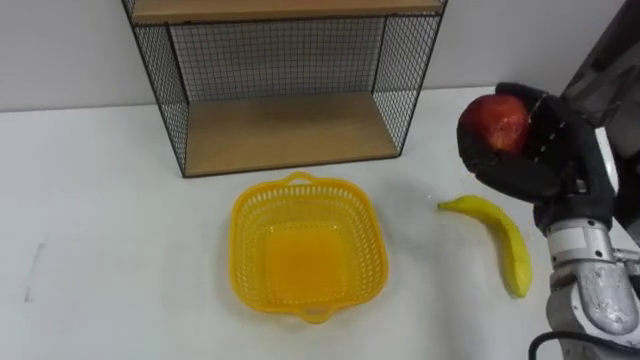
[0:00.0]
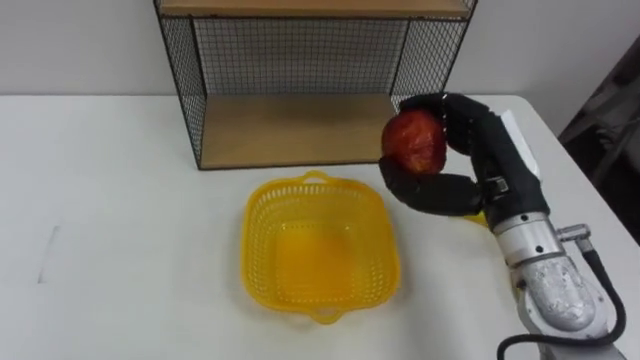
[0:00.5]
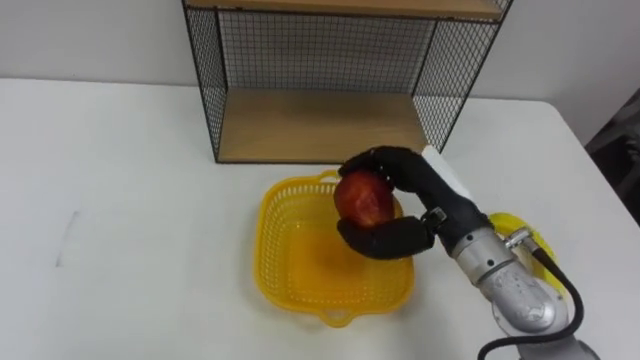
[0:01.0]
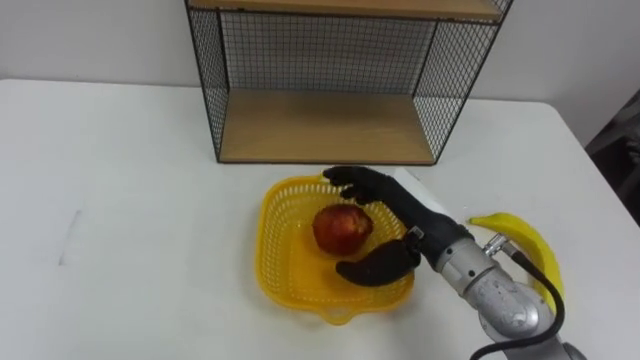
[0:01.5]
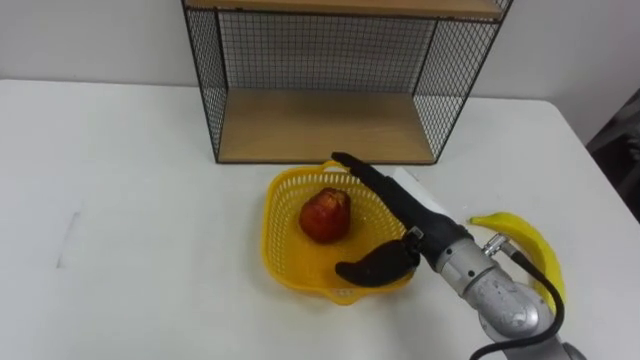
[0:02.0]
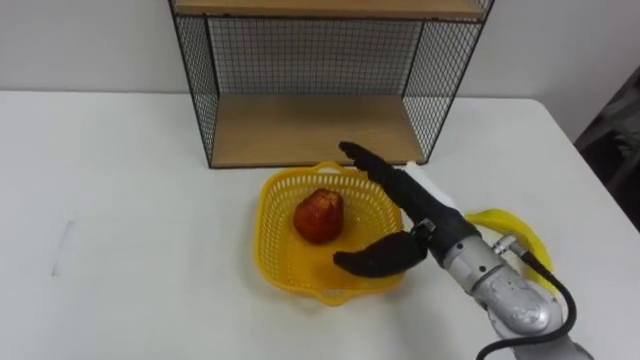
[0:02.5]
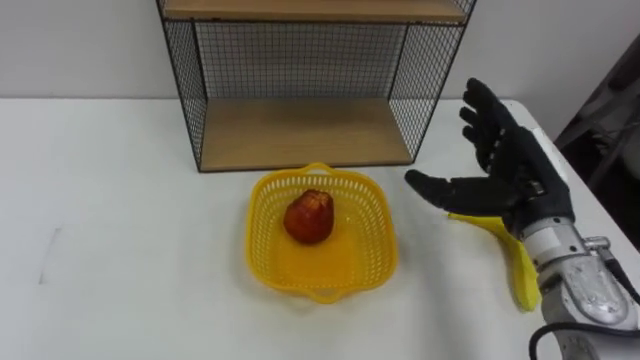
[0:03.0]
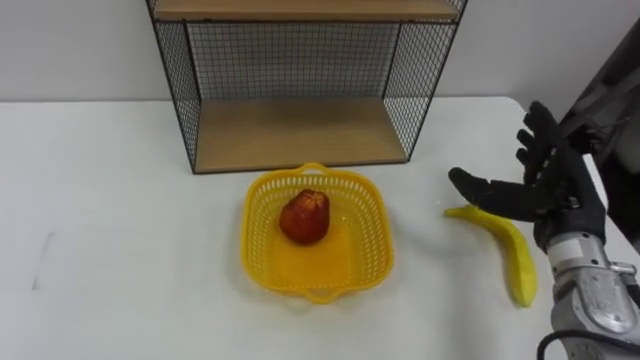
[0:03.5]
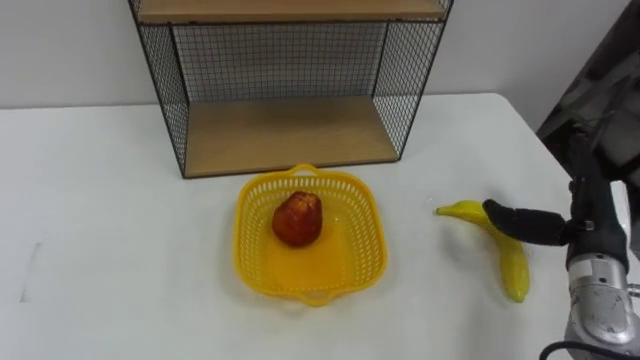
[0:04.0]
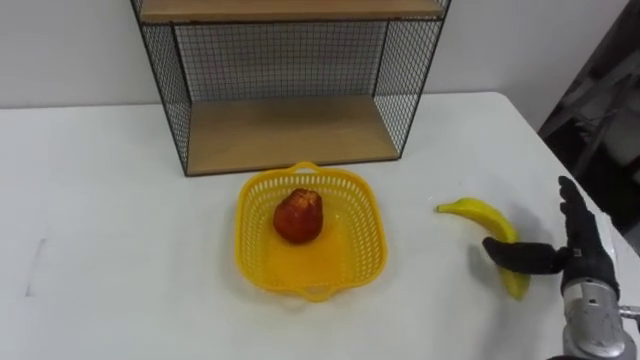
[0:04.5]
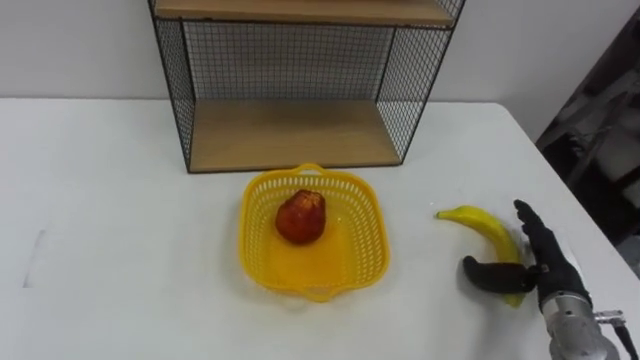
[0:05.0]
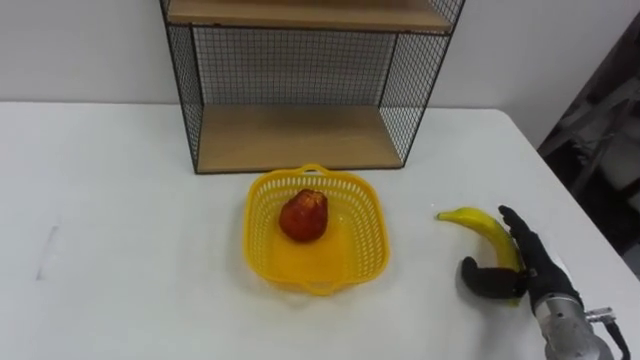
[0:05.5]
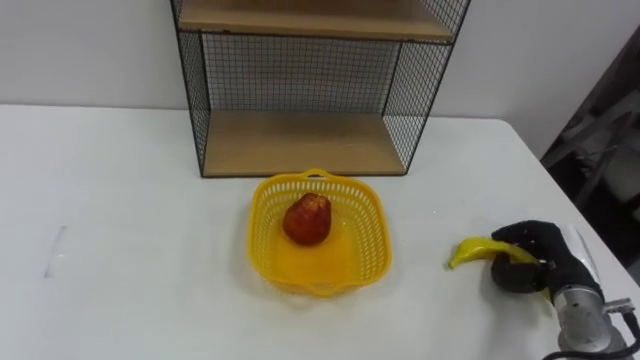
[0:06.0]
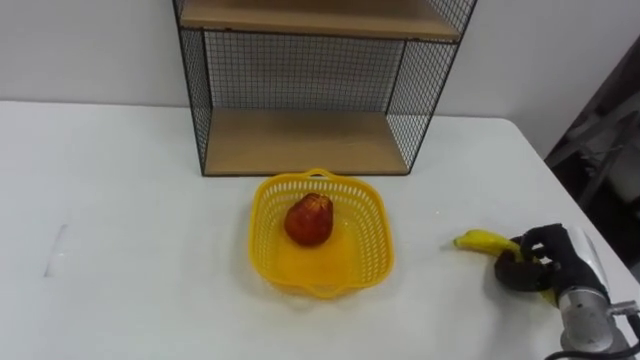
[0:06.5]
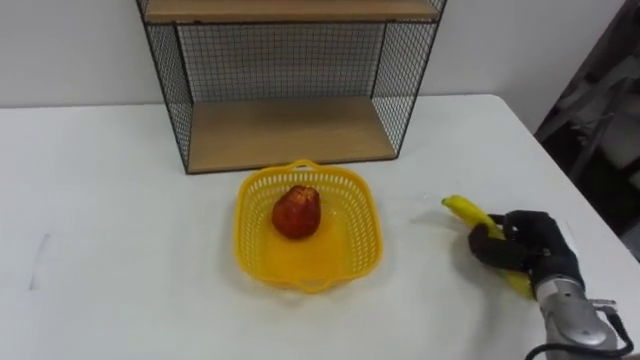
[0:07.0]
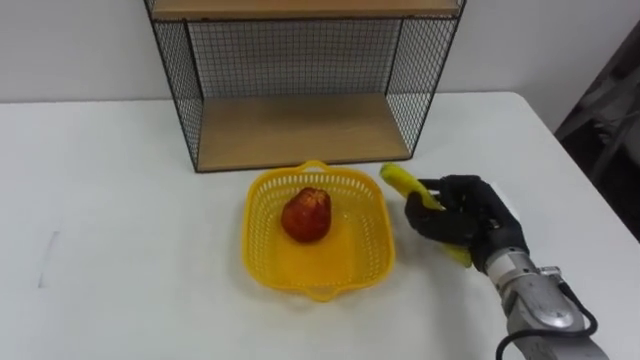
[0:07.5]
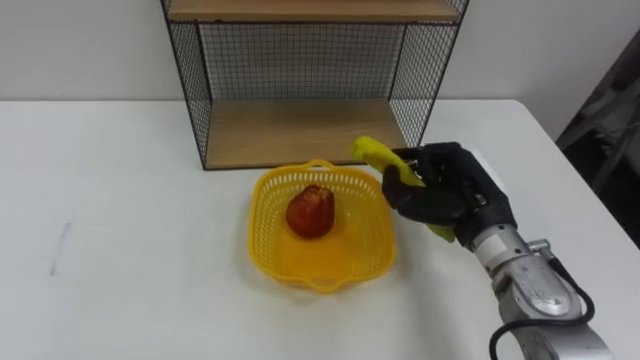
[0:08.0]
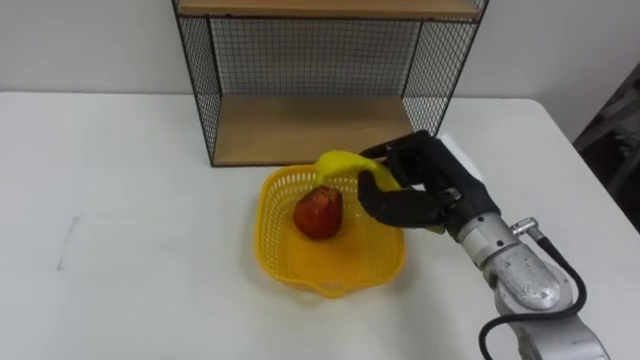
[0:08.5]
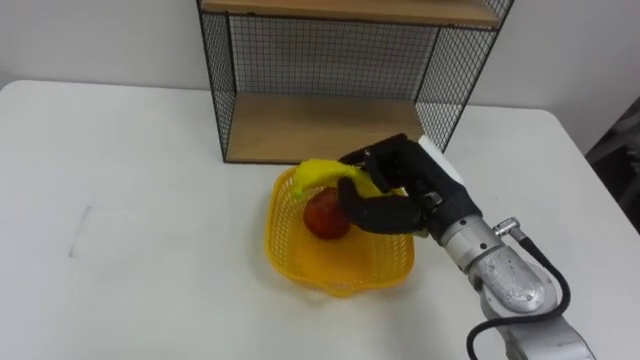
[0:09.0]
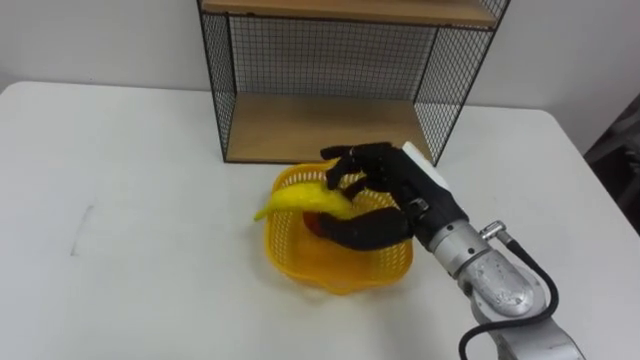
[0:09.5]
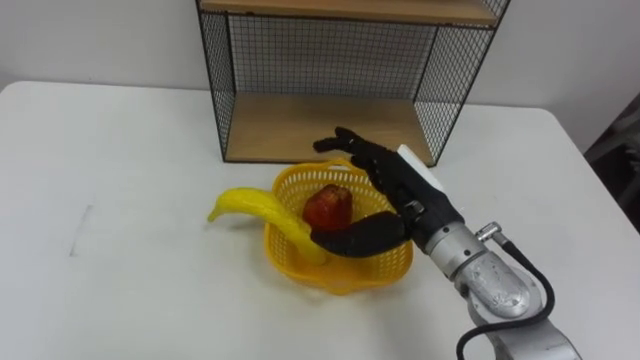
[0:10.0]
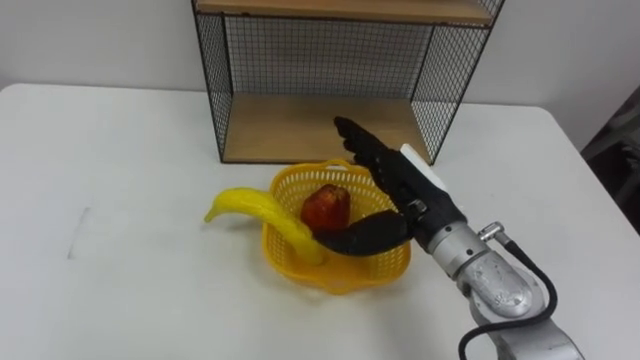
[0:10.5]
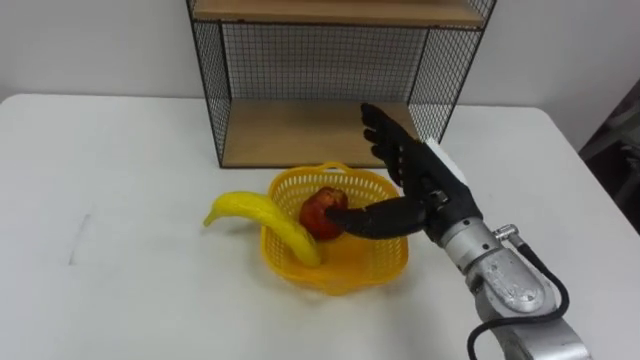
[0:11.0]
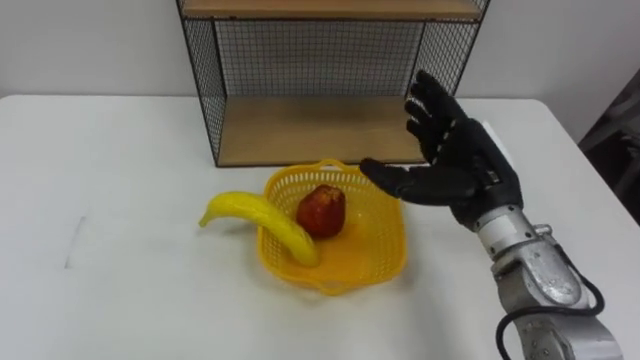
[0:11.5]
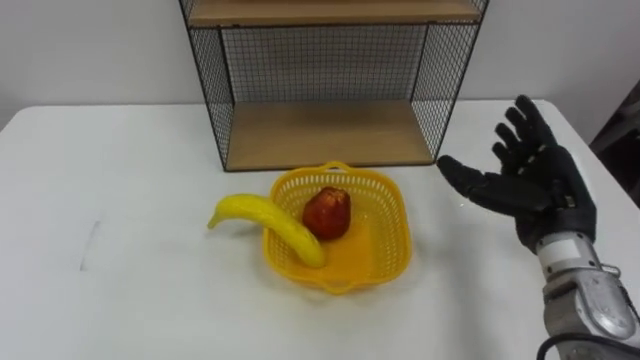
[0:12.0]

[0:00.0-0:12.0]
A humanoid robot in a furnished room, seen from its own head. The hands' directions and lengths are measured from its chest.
Task of the whole recording: Put the fruit on the table into the basket, then place the basket on the shelf.
0:00.0 to 0:02.0: The right hand is displaced to the left by roughly 15 cm, and opens.
0:02.0 to 0:04.0: The right hand heads to the right, covering some 20 cm.
0:04.0 to 0:06.0: The right hand shifts about 10 cm downward, and closes its fingers.
0:06.0 to 0:08.0: The right hand is displaced to the left and upward by about 20 cm.
0:08.0 to 0:10.0: The right hand shifts about 5 cm to the left, and opens.
0:10.0 to 0:12.0: The right hand shifts roughly 15 cm to the right.

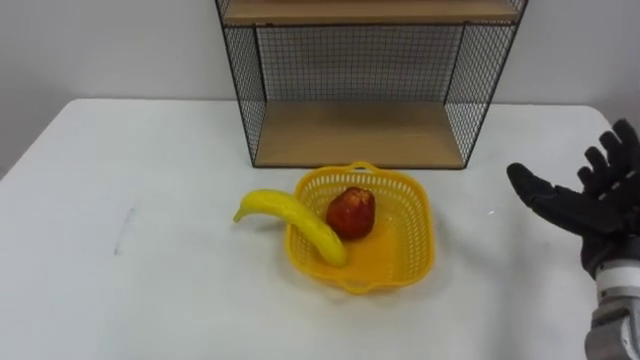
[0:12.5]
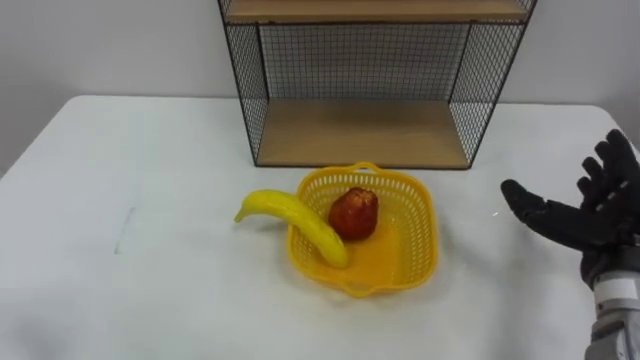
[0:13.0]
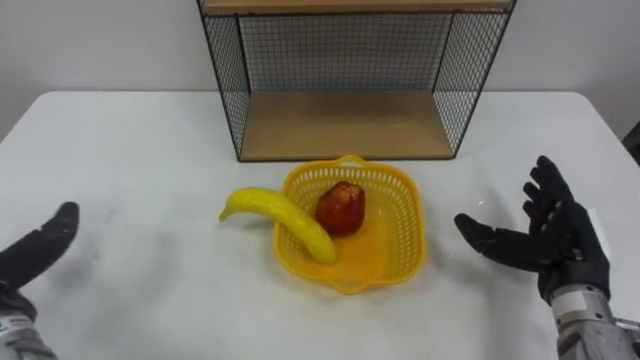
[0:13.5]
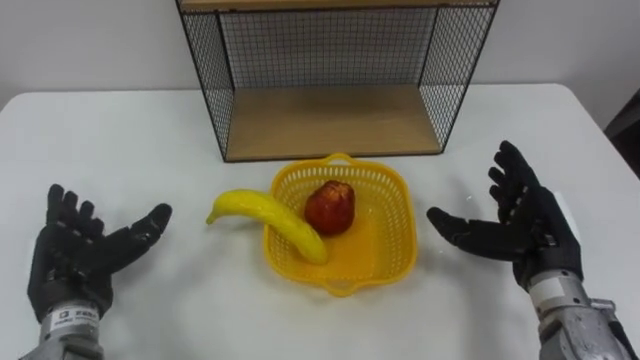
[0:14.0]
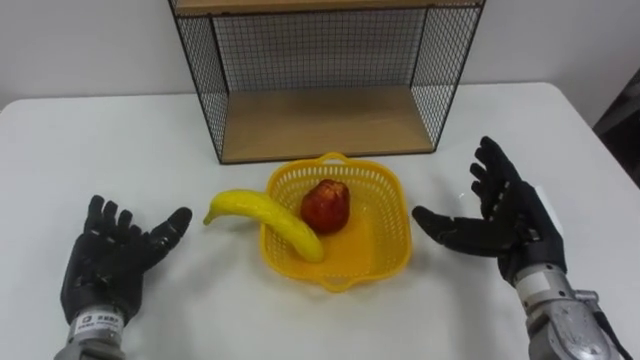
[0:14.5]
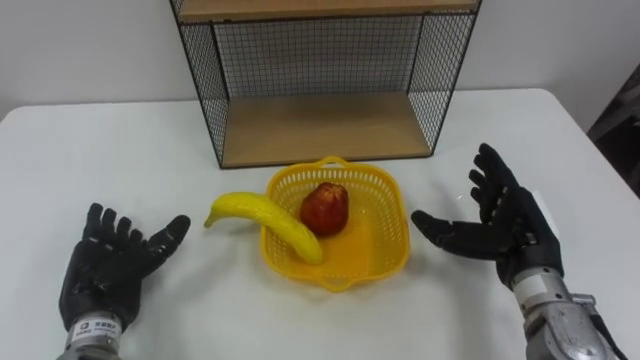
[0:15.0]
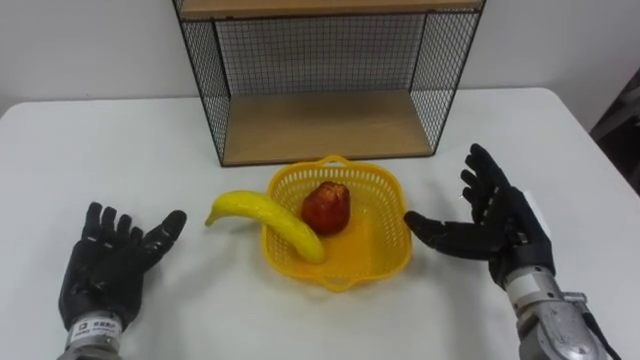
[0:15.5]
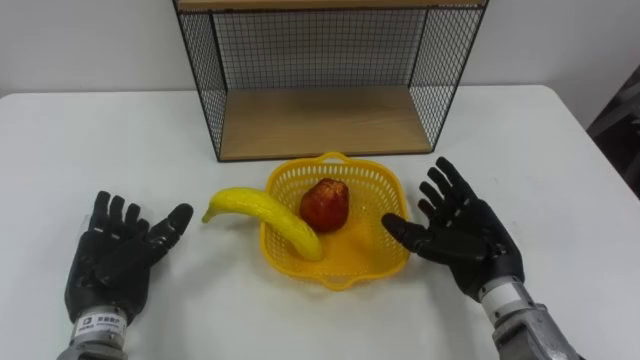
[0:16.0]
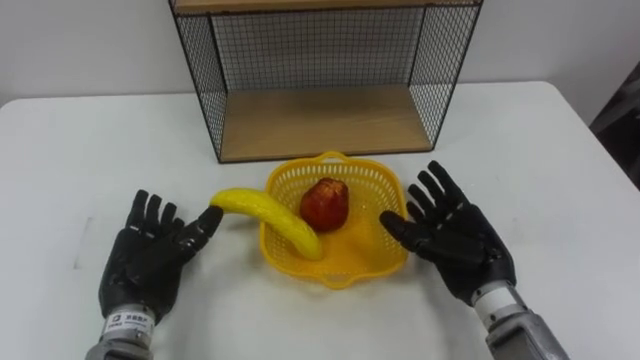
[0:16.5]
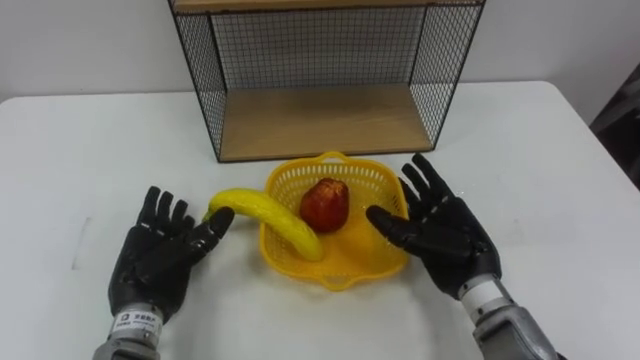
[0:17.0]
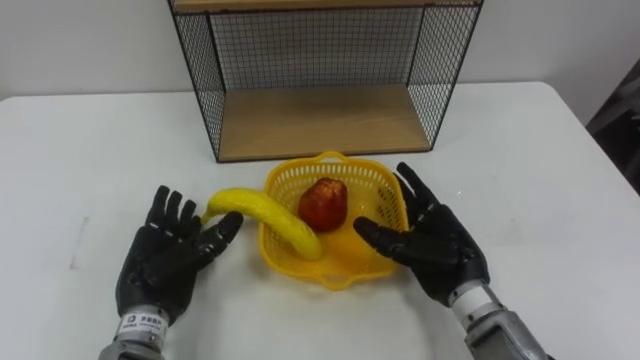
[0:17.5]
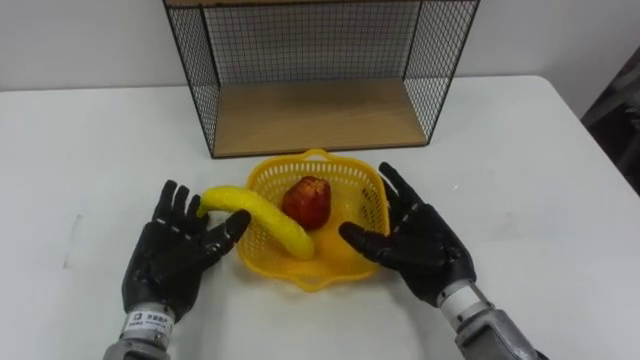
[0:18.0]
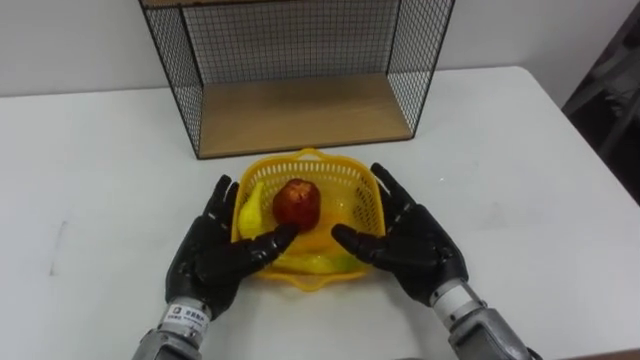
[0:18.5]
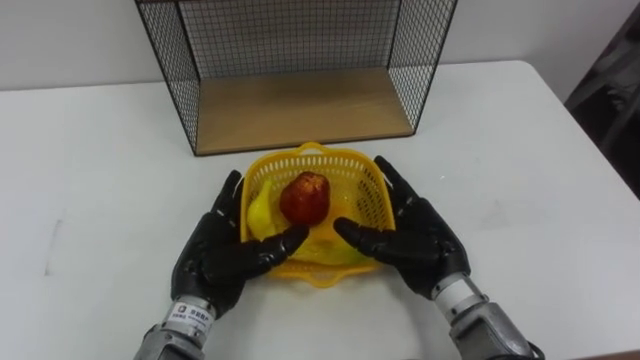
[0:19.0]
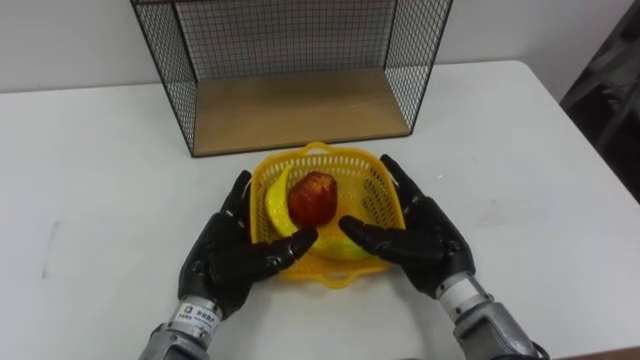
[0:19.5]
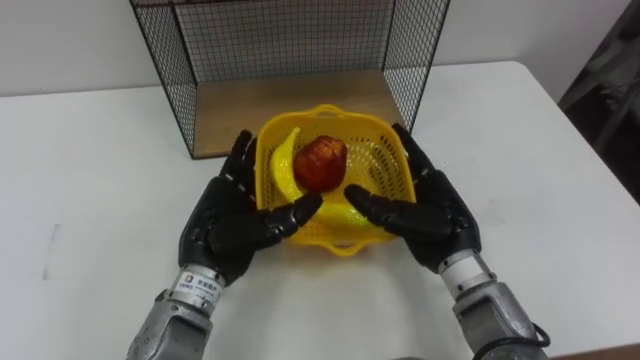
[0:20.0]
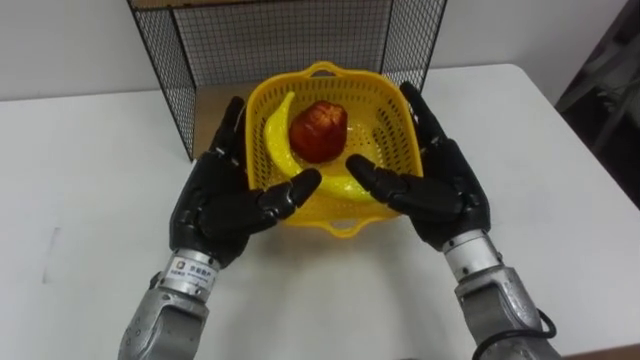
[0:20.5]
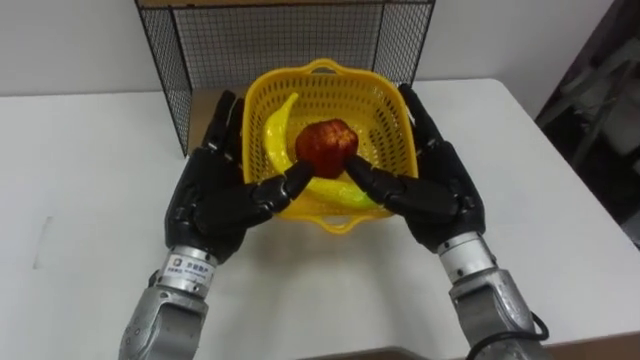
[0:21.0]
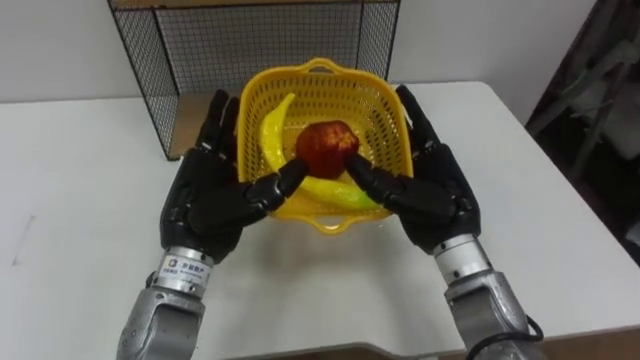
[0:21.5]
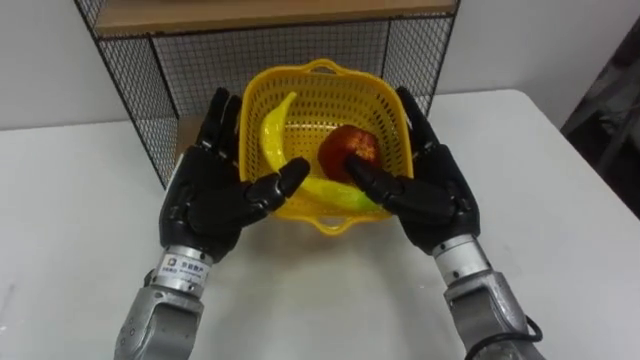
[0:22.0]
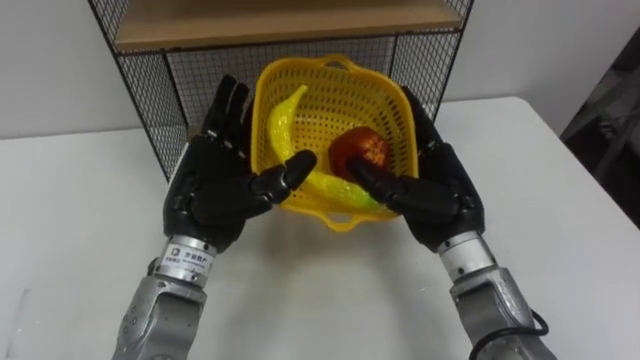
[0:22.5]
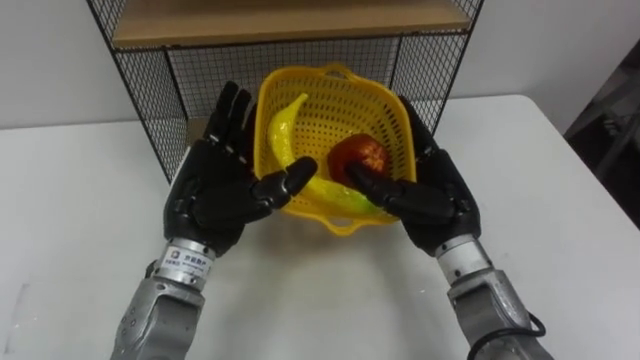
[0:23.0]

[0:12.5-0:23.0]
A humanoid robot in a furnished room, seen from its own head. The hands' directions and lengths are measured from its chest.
Task of the whole recording: Put the fruit on the table into the basket, then place the basket on the shelf.
0:12.5 to 0:14.5: The right hand goes some 10 cm to the left.
0:14.5 to 0:16.5: The right hand is displaced to the left by approximately 5 cm.
0:16.5 to 0:19.0: The right hand goes some 5 cm to the left. The left hand goes about 10 cm to the right.
0:19.0 to 0:21.0: The hands both shift upward by roughly 10 cm.
